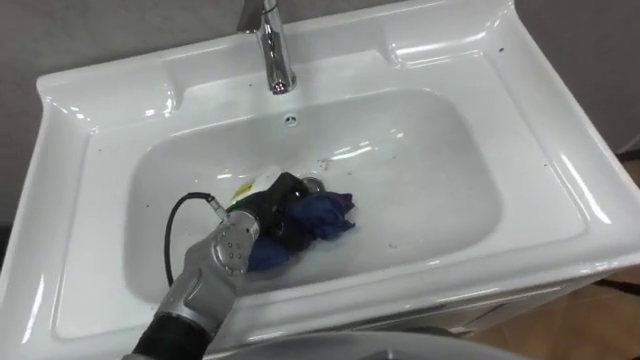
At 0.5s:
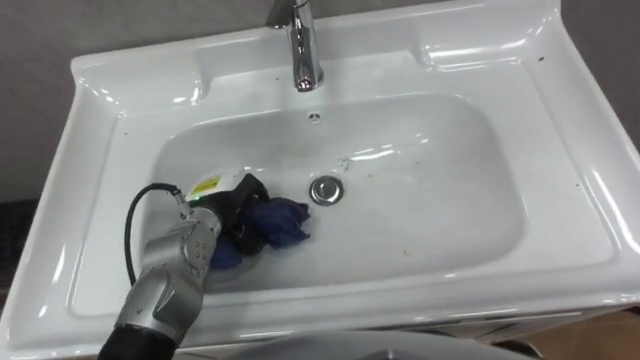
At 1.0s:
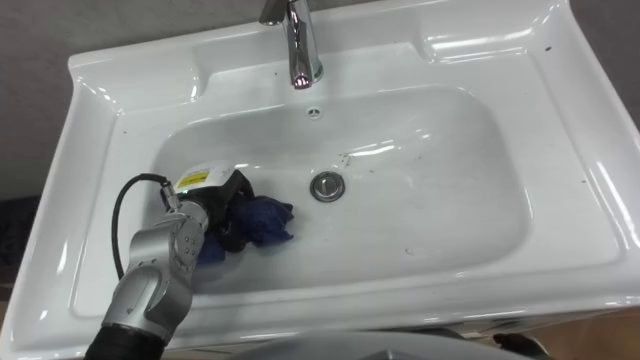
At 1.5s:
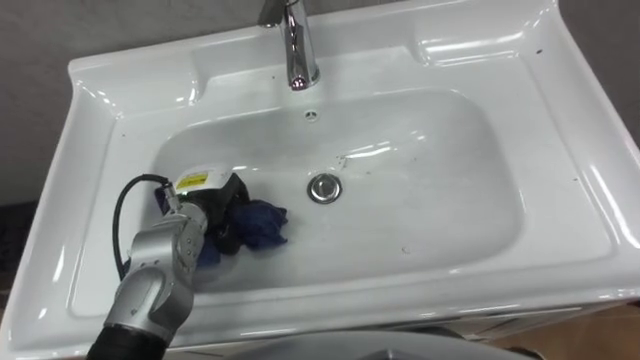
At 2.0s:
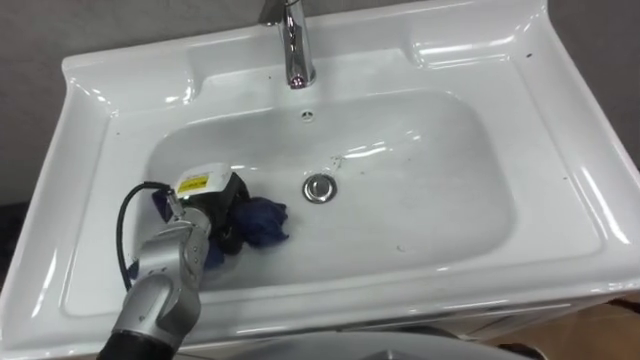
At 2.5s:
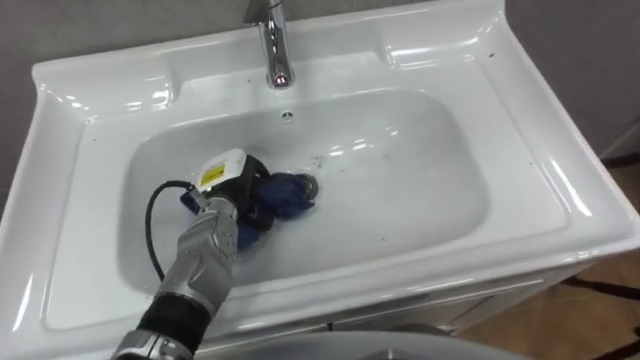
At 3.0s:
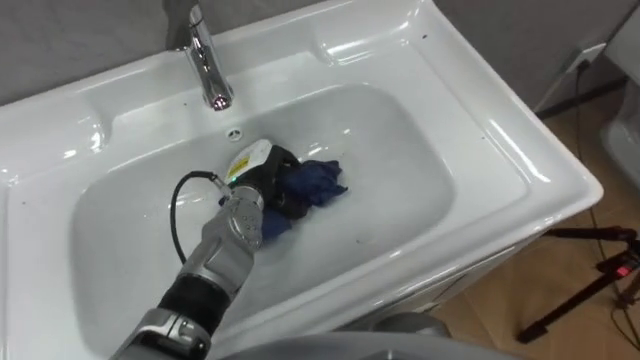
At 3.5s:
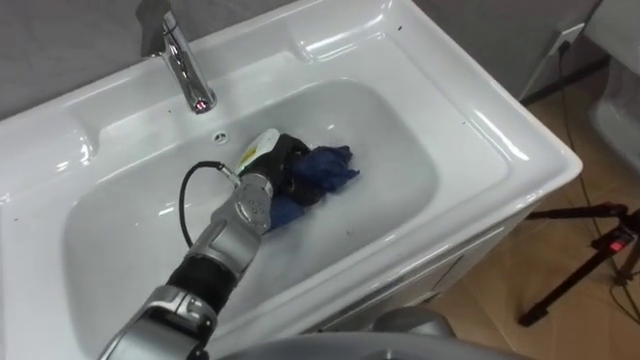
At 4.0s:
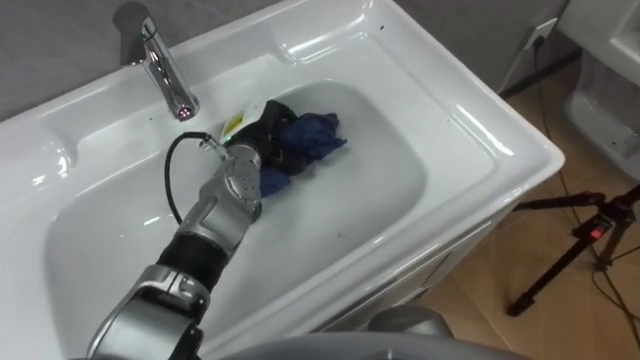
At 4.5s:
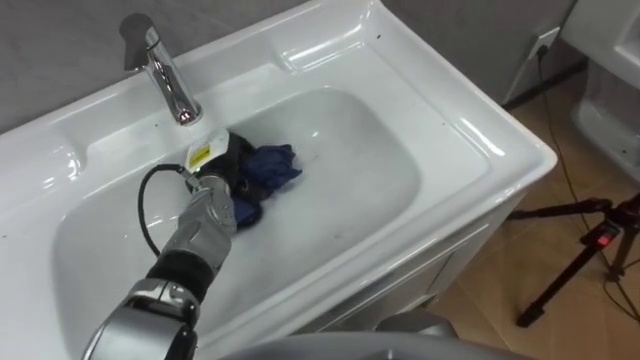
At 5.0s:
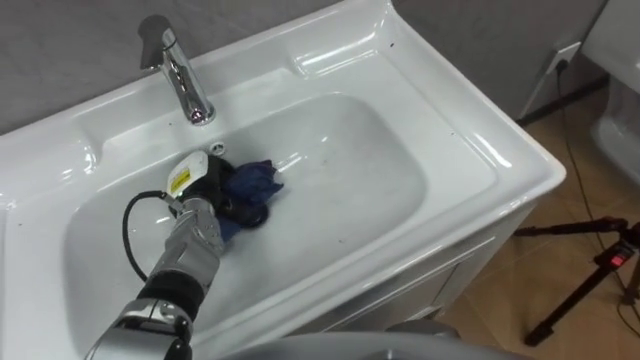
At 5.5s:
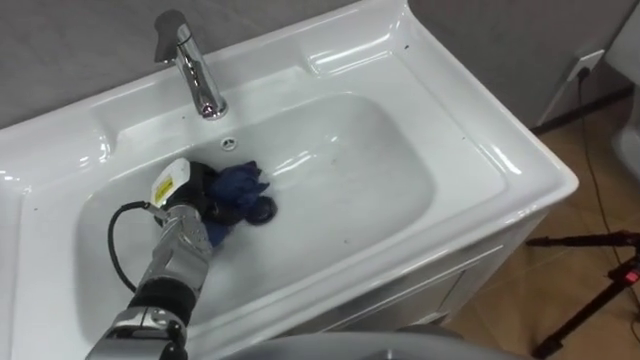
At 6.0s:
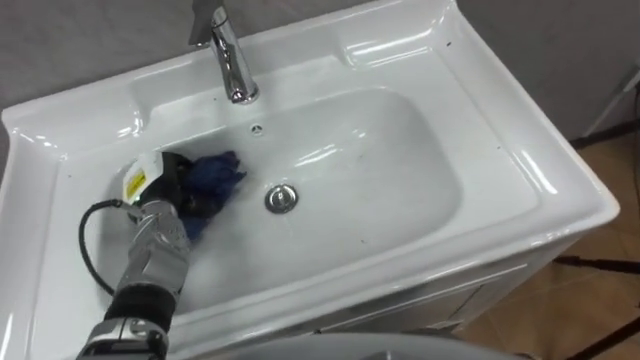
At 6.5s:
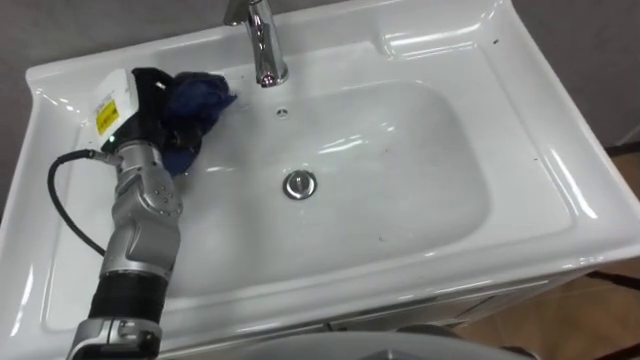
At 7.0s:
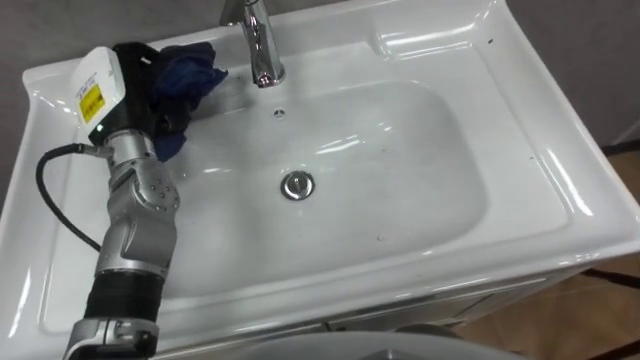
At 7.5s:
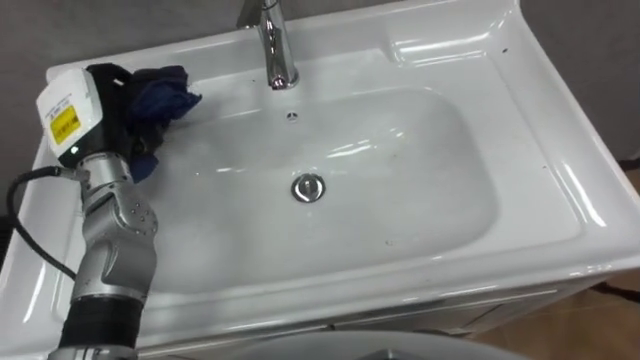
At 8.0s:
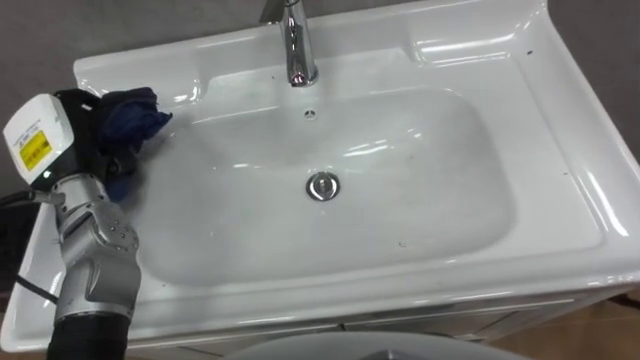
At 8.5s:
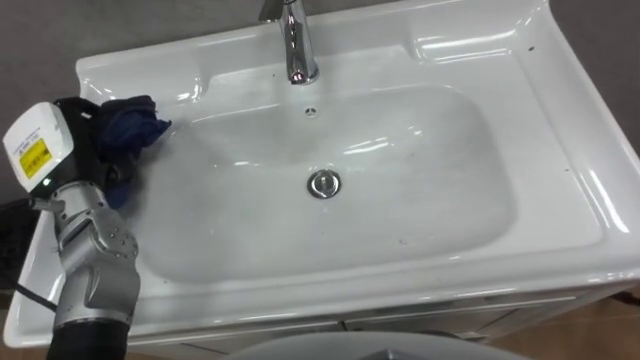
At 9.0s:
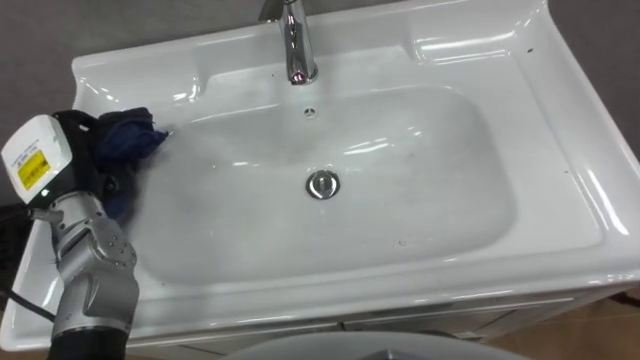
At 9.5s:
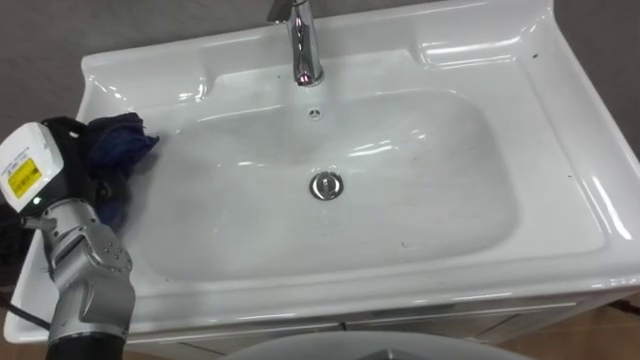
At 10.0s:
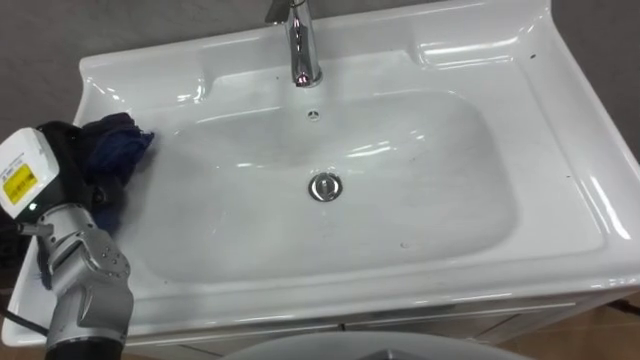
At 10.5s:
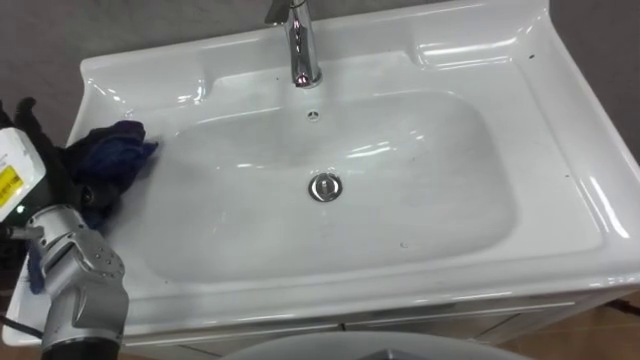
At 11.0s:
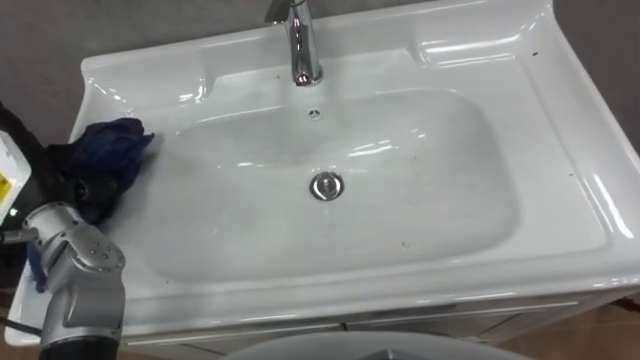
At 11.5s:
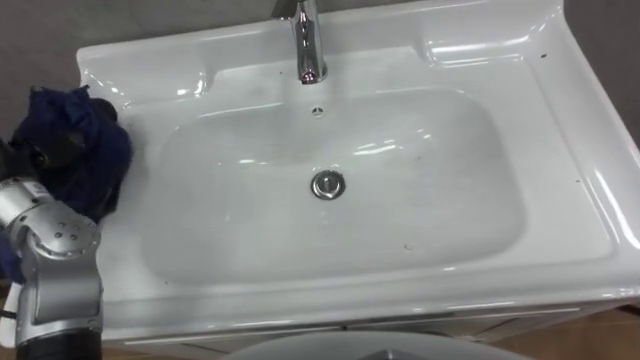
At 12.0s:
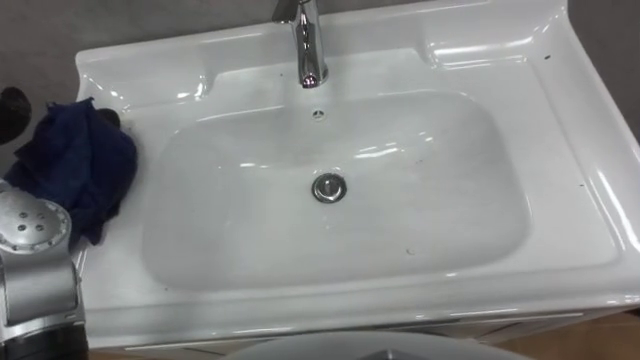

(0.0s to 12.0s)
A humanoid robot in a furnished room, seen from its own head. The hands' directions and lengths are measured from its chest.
Task of the whole recording: Use the cloth on the right to wipe away the black stain in the sink.
0.0s - 2.0s: The left hand shifts approximately 10 cm to the left.
2.0s - 4.0s: The left hand travels forward and to the right by roughly 10 cm.
4.0s - 6.0s: The left hand goes some 15 cm to the left and backward.
6.0s - 8.0s: The left hand moves upward and to the left, roughly 15 cm.

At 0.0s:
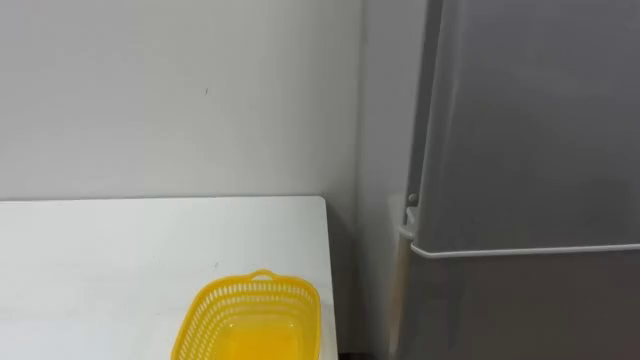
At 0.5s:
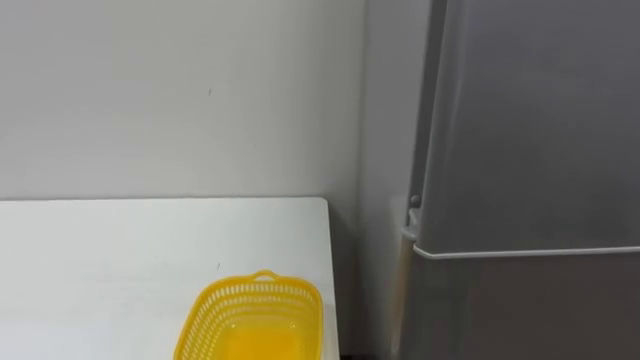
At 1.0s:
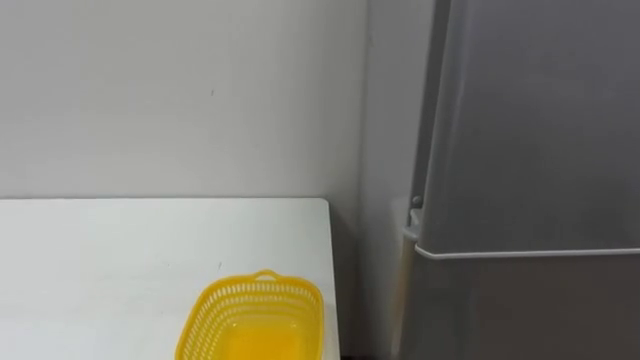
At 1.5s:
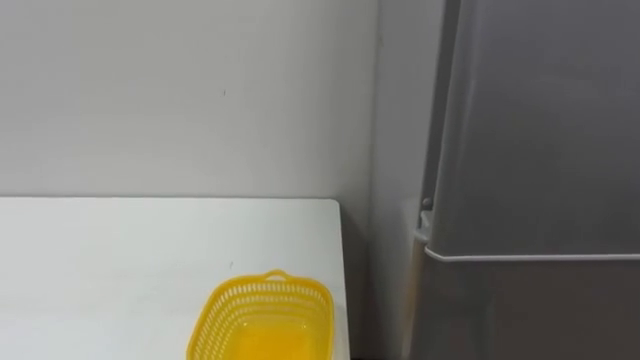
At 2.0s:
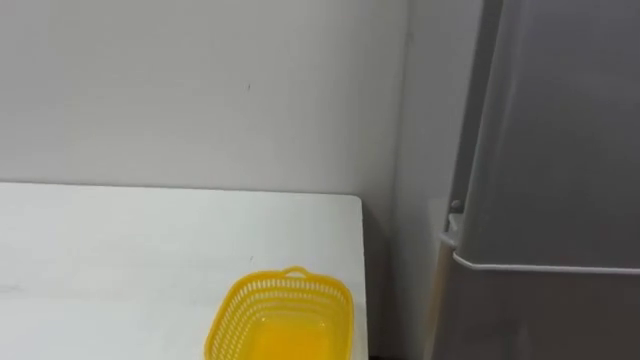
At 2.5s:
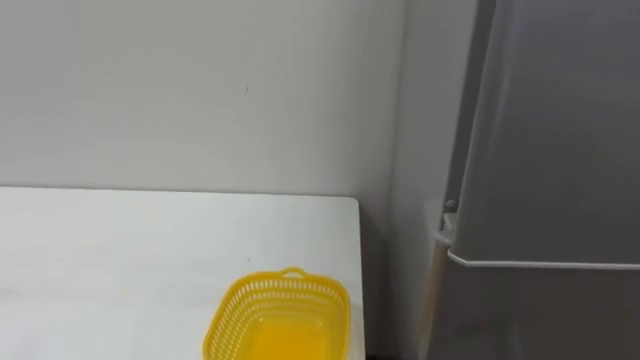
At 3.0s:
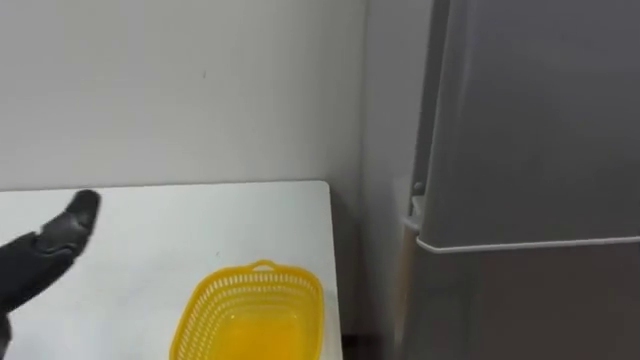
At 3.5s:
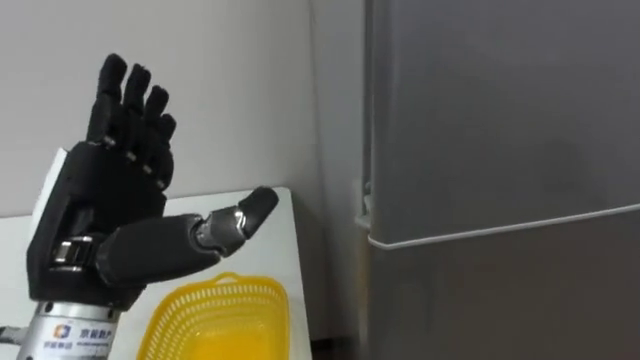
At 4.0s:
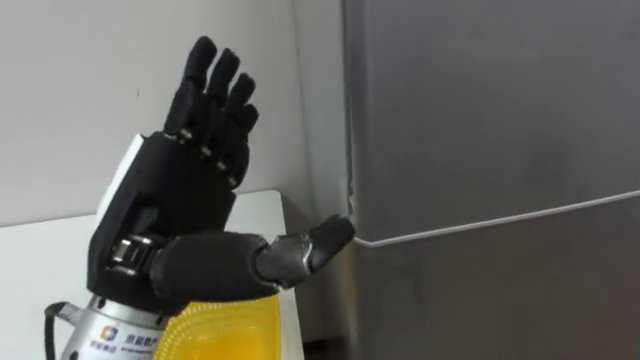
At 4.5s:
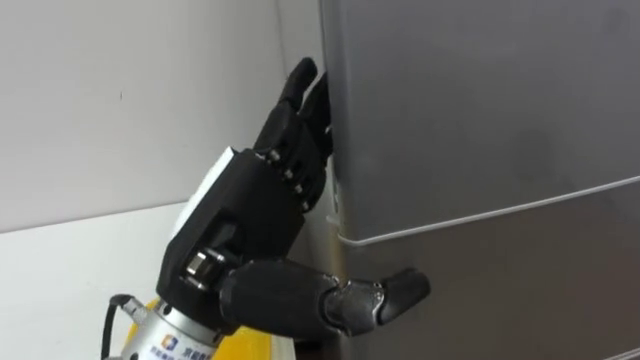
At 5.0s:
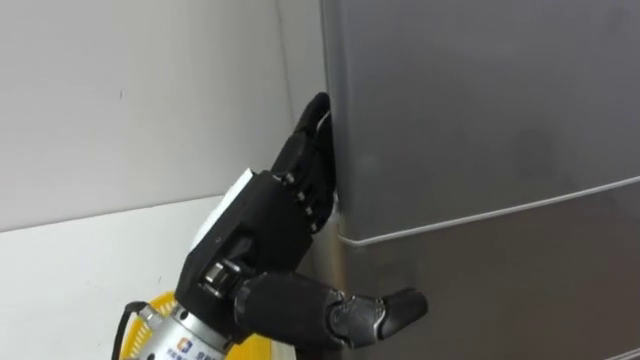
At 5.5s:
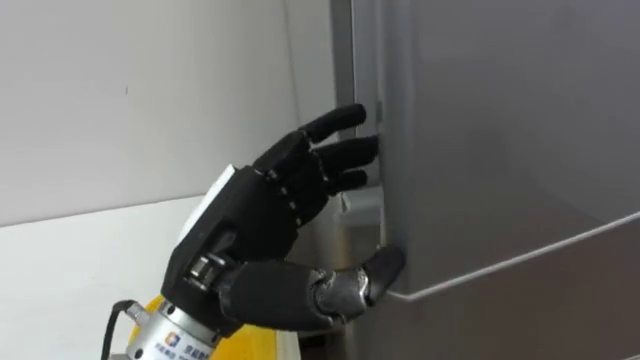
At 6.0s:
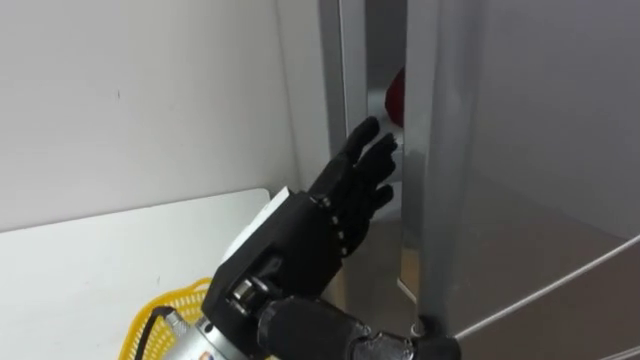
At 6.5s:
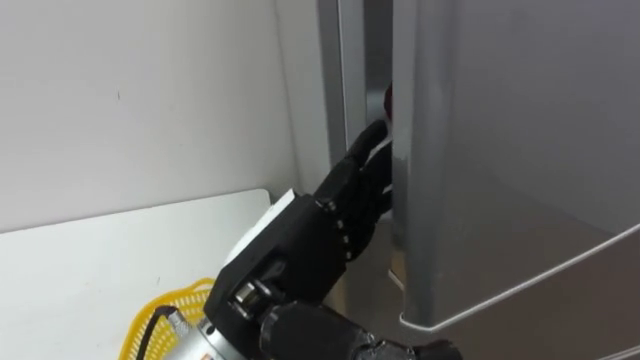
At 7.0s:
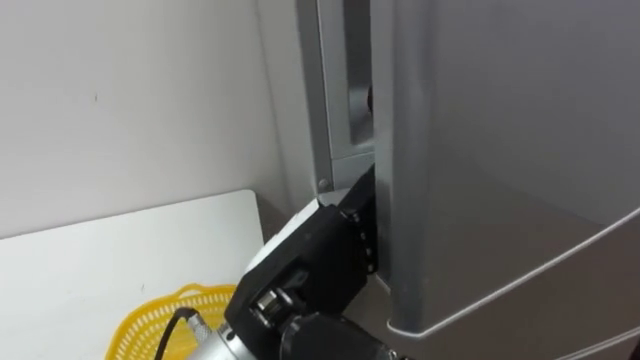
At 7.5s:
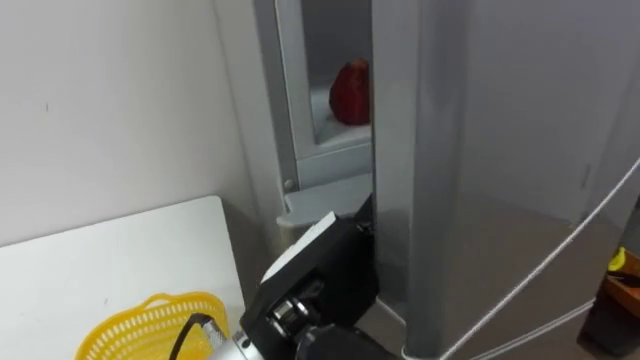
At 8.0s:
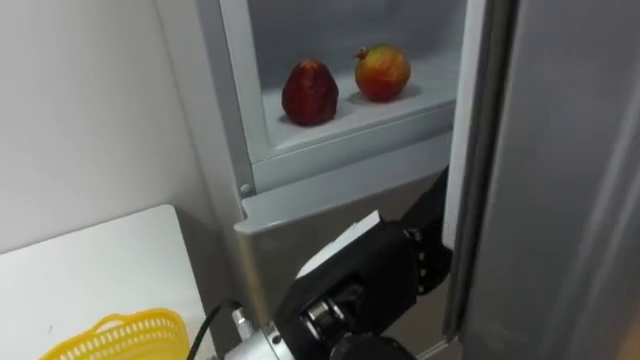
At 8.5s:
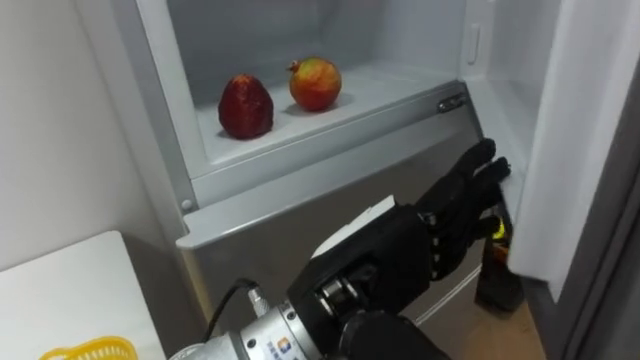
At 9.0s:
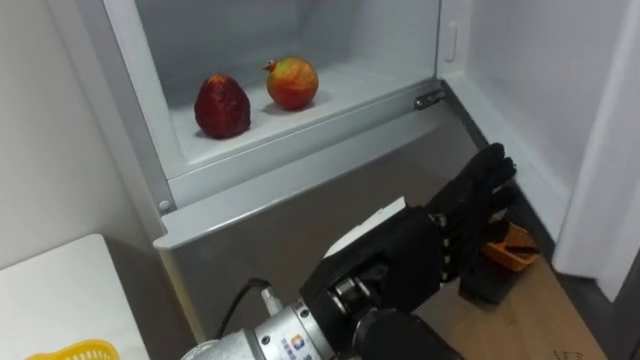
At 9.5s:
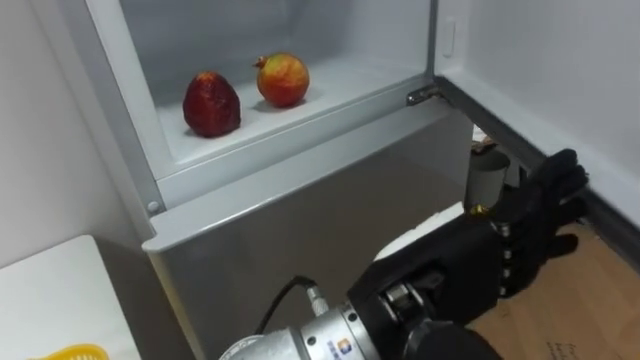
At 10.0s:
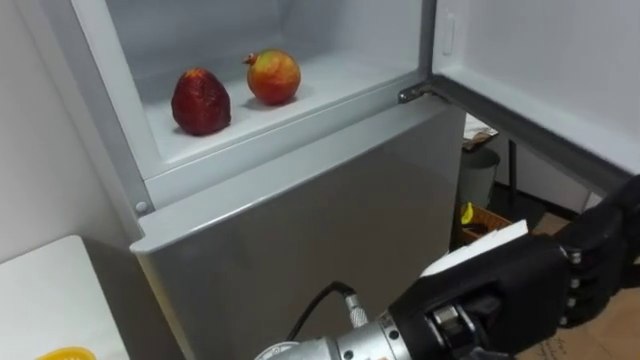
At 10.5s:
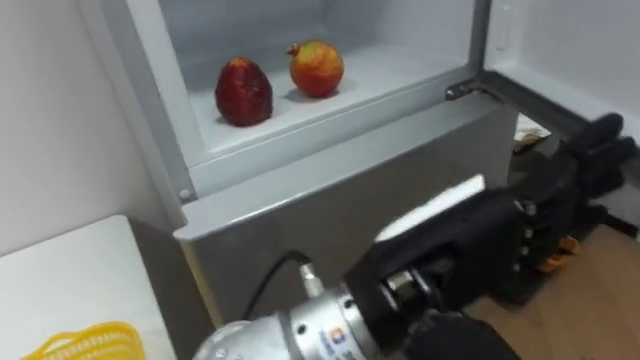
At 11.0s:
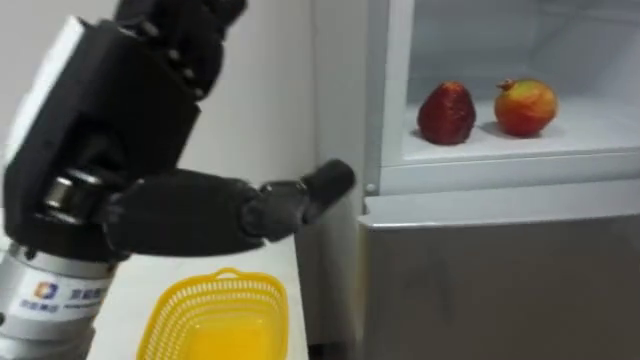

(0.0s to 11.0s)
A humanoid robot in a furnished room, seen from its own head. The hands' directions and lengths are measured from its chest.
Task of the whole recording: Open the refrigerator door, take out the apple and the pomegranate, place them in the fruit basket on the left, and close the refrigerator door.
3.5s - 5.5s: The left hand heads to the right, covering roughly 10 cm.
5.5s - 7.5s: The left hand goes approximately 5 cm to the right.
9.0s - 11.0s: The left hand travels to the left and upward by roughly 20 cm.
